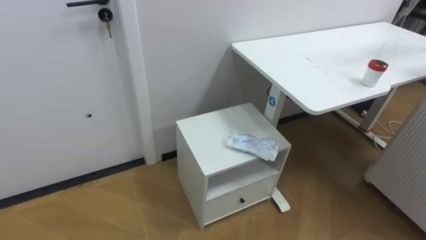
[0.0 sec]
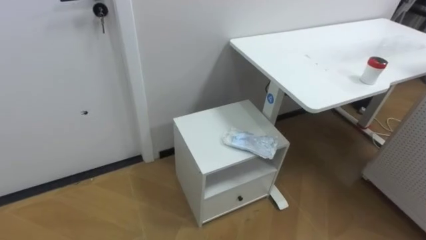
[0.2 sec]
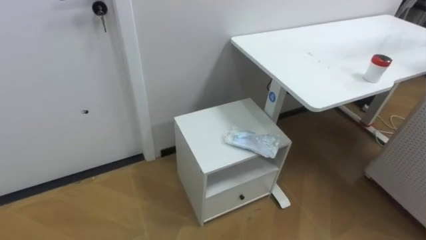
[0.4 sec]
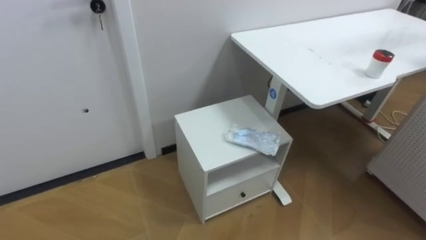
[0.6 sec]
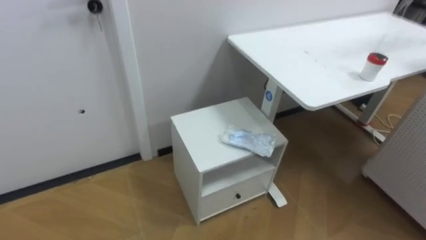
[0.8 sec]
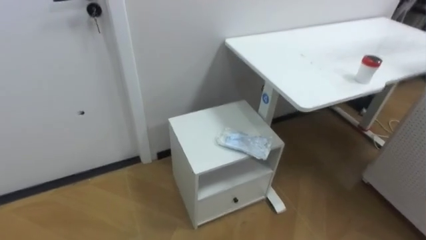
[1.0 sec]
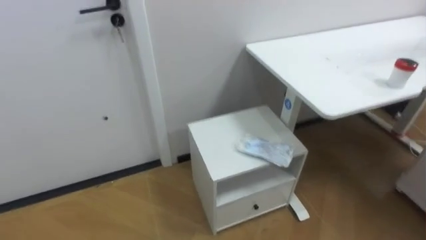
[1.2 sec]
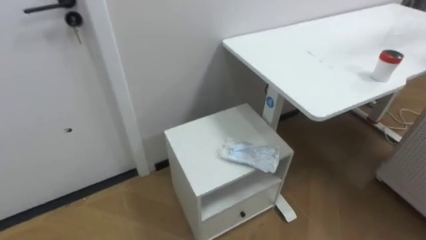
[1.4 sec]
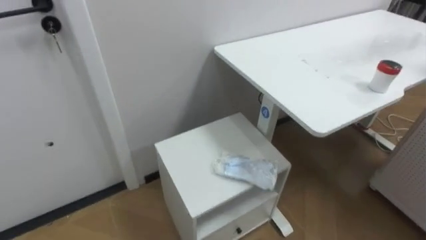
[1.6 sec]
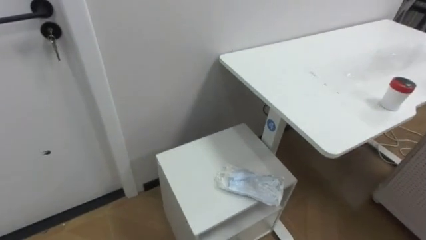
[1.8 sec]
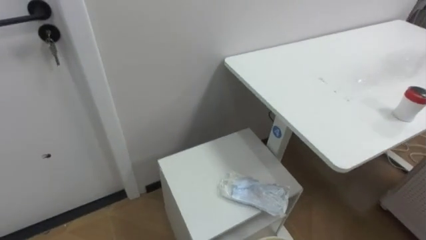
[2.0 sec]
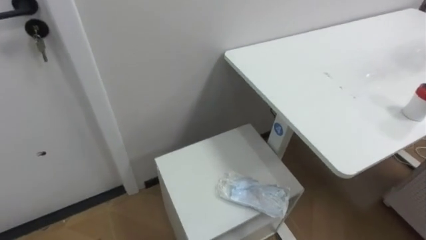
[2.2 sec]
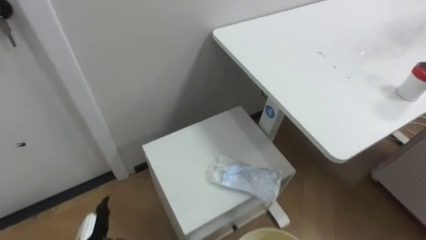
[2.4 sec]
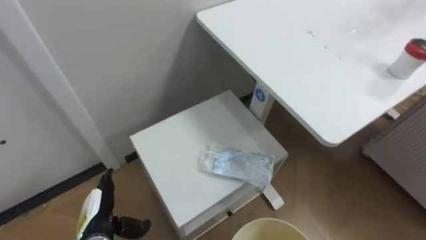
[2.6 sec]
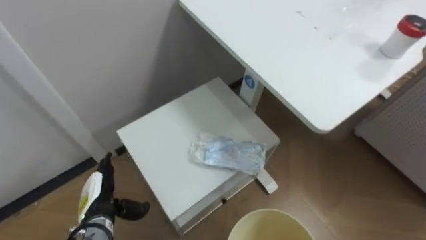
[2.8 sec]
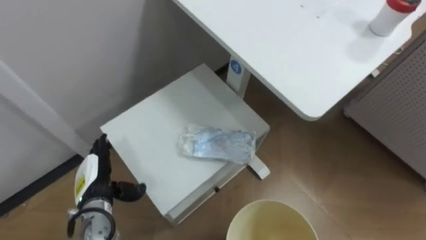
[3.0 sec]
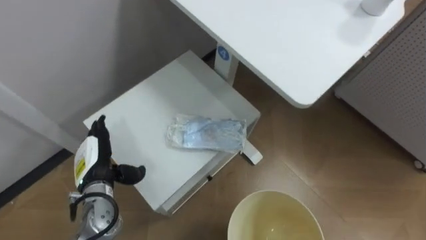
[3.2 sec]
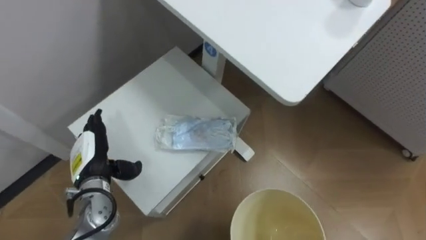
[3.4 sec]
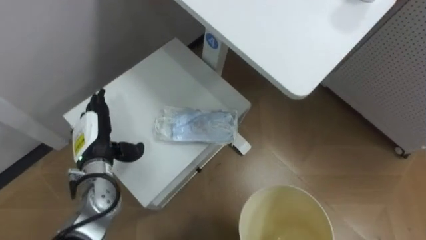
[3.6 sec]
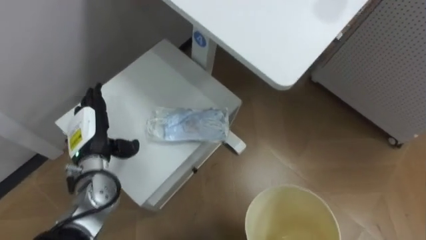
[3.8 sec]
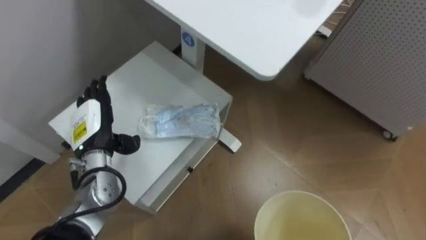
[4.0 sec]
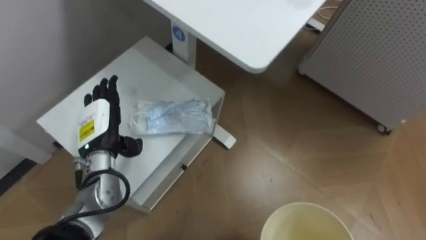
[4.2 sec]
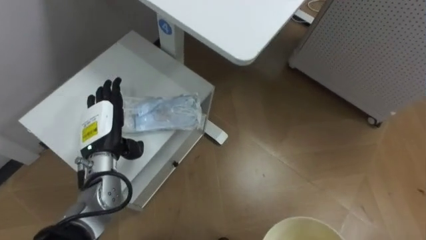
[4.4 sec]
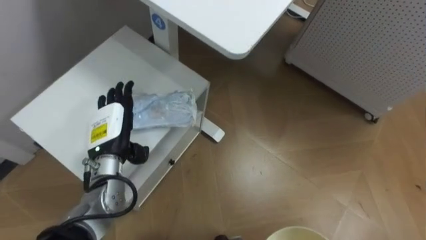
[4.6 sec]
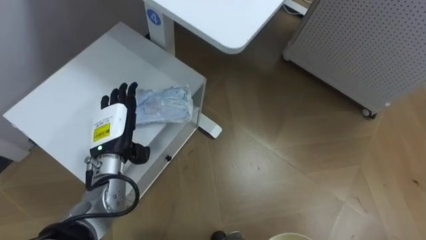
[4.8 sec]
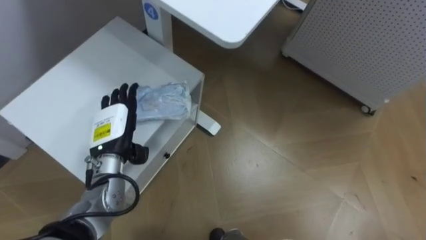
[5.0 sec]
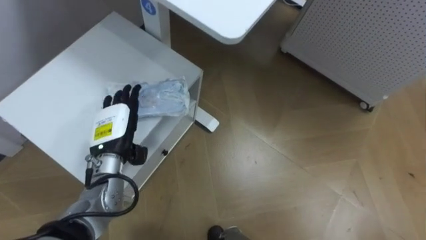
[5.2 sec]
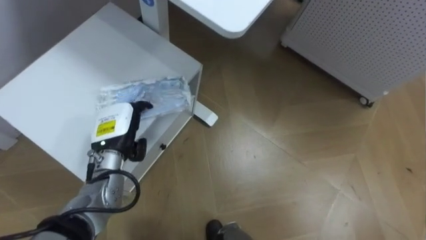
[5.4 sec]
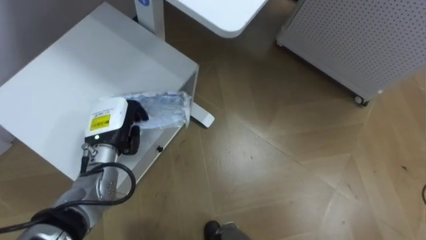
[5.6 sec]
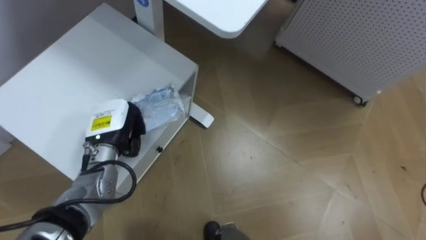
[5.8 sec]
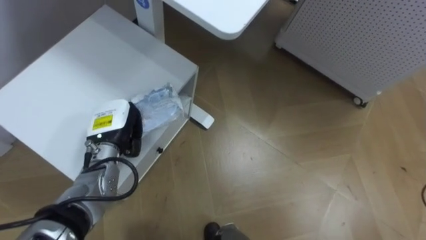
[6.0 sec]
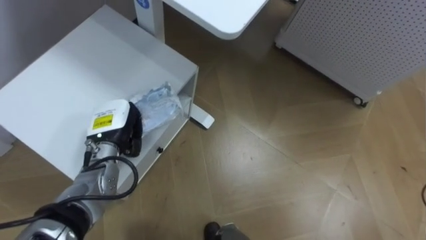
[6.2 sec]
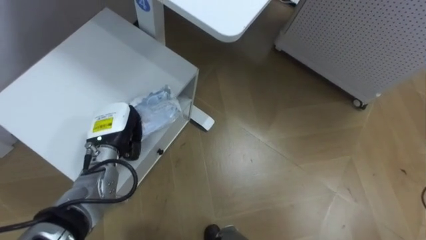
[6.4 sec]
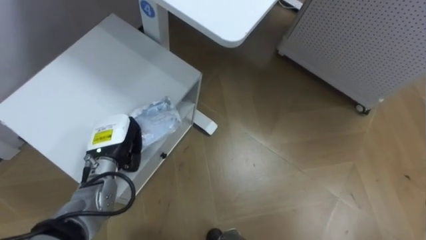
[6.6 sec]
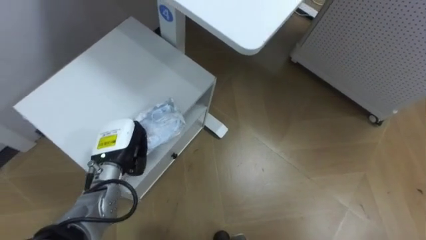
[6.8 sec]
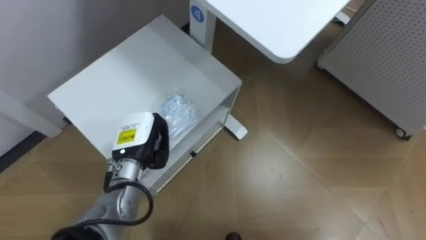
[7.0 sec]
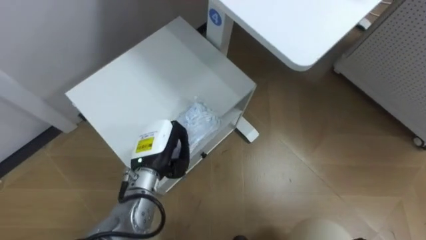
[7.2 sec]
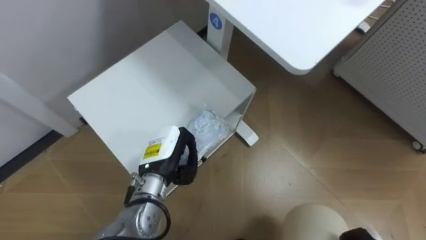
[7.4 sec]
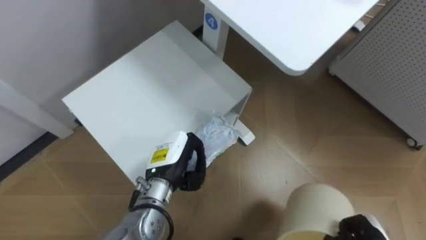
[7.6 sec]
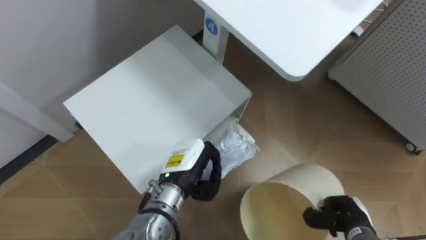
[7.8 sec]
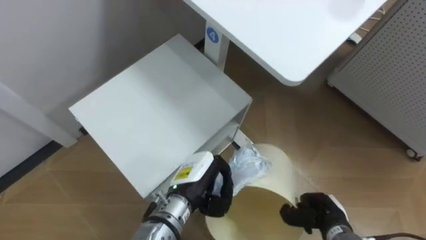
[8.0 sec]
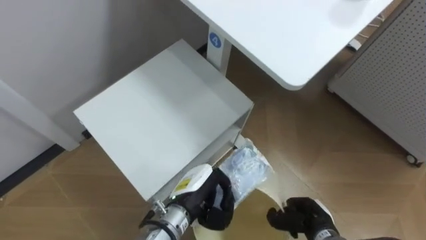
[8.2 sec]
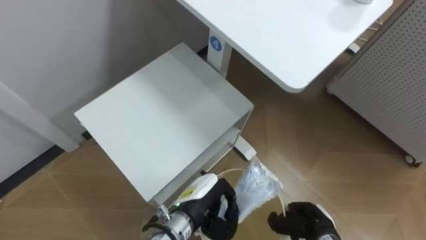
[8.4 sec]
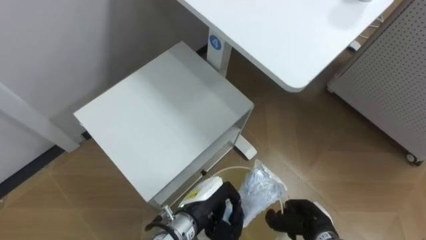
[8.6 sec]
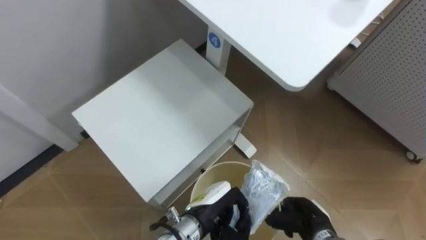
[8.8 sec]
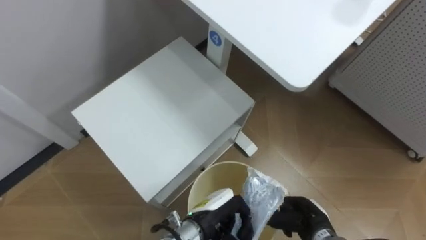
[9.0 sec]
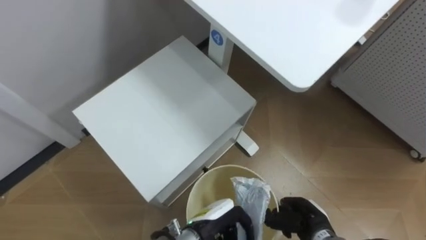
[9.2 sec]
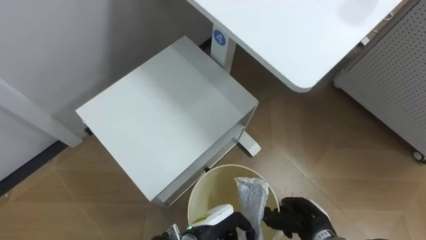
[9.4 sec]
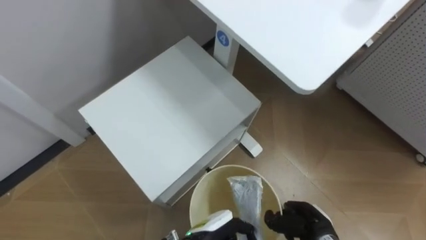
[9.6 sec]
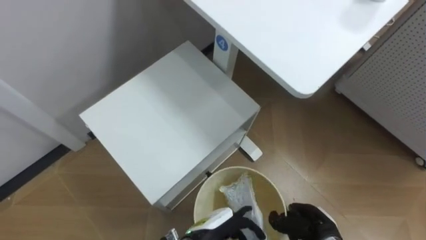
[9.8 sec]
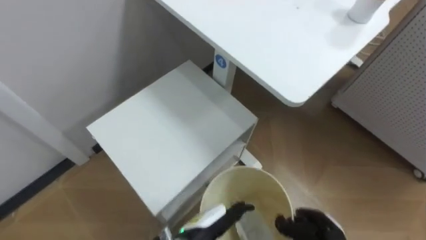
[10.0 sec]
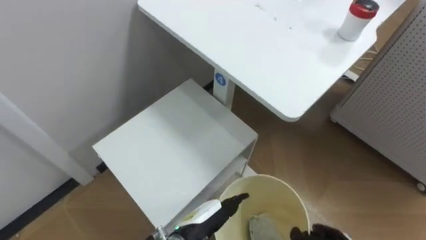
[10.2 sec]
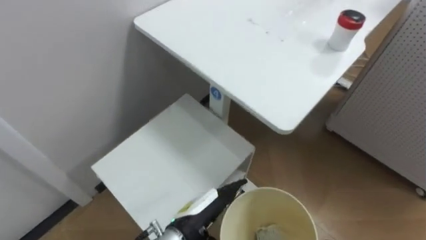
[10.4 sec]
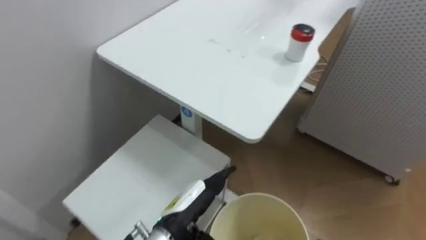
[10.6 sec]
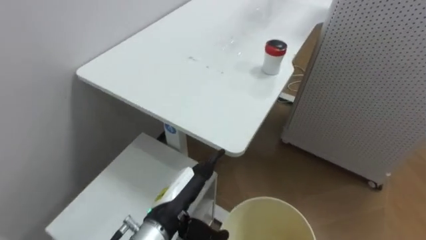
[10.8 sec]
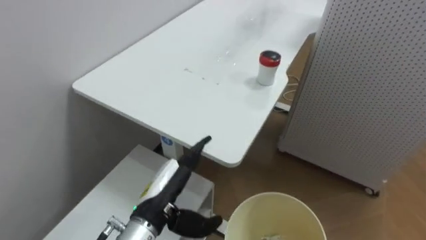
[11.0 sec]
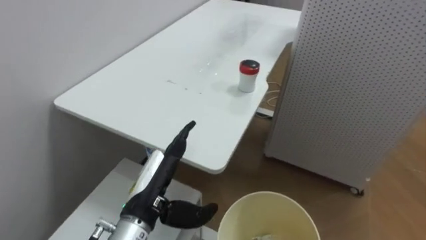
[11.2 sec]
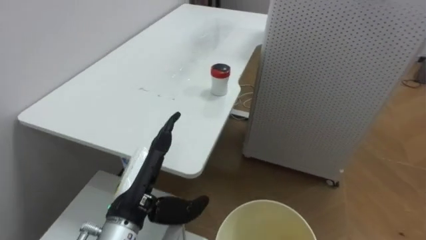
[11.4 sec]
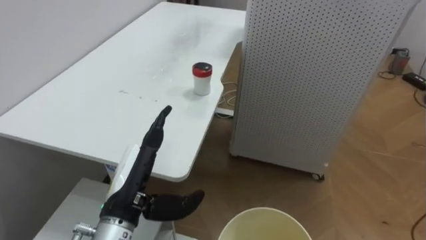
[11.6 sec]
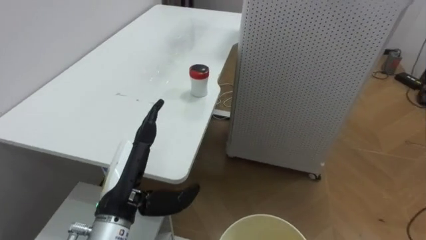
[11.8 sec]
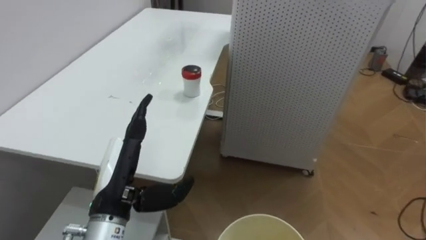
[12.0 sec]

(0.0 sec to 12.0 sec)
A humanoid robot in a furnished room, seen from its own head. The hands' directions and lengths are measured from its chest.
Task of the whole recording: Pick up the light blue package, the candy box, and the dark blue package separately, and put them into the trash can held in your right hand.
3.0 sec - 4.4 sec: The left hand moves upward and forward, roughly 10 cm.
4.4 sec - 6.0 sec: The left hand closes up.
6.0 sec - 7.6 sec: The left hand shifts about 10 cm to the right.
7.6 sec - 9.0 sec: The left hand goes roughly 15 cm to the right, backward and downward.
9.0 sec - 10.4 sec: The left hand opens up.
10.4 sec - 12.0 sec: The robot faces some 35 degrees further to its right. The left hand shifts approximately 20 cm to the left and upward.

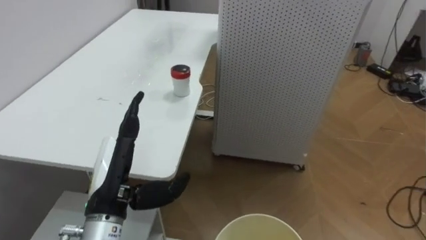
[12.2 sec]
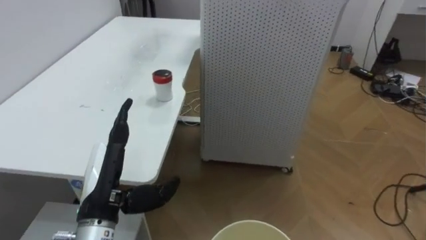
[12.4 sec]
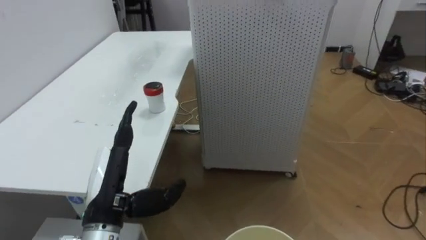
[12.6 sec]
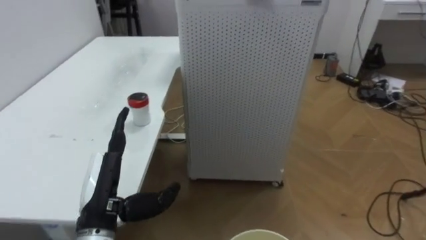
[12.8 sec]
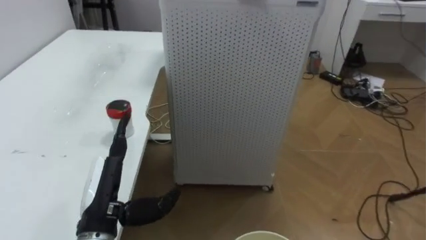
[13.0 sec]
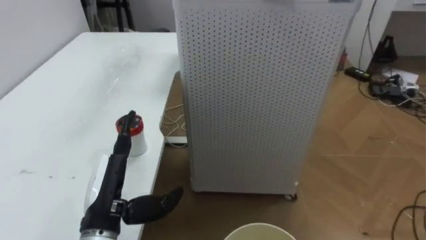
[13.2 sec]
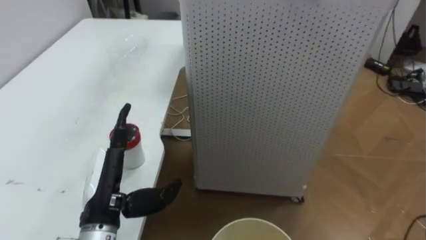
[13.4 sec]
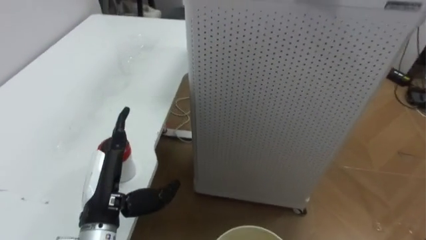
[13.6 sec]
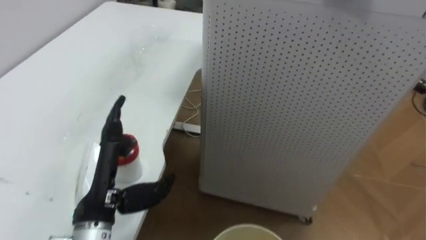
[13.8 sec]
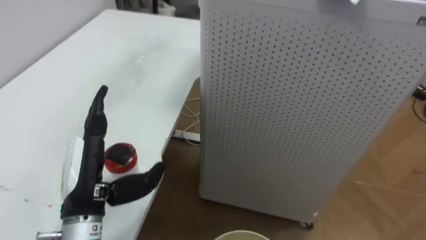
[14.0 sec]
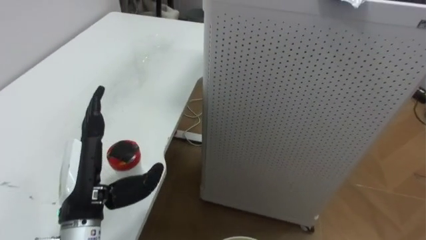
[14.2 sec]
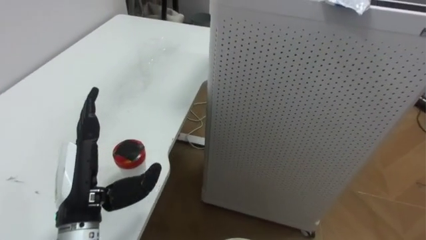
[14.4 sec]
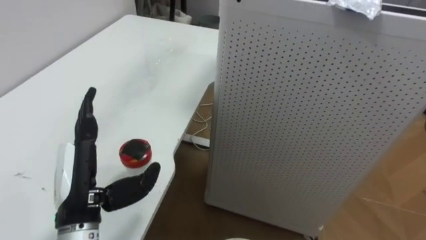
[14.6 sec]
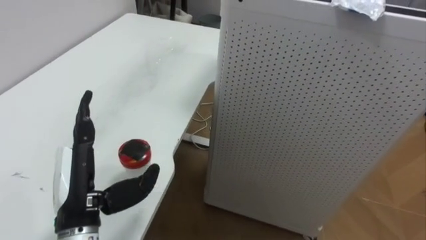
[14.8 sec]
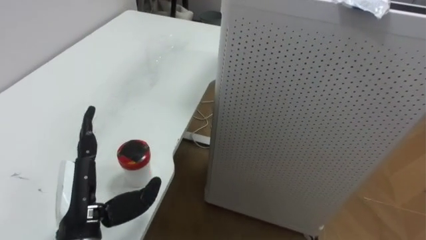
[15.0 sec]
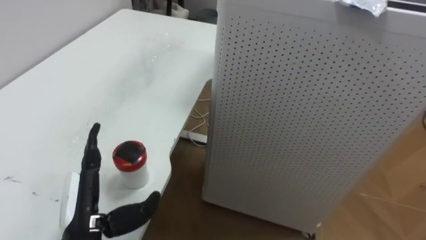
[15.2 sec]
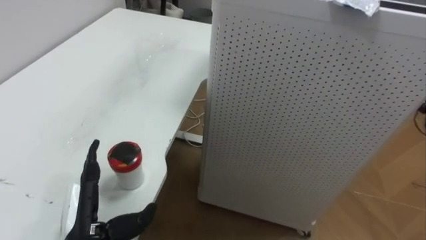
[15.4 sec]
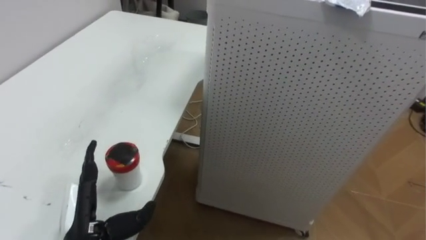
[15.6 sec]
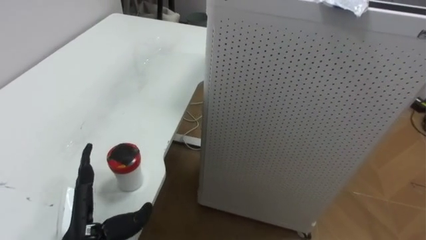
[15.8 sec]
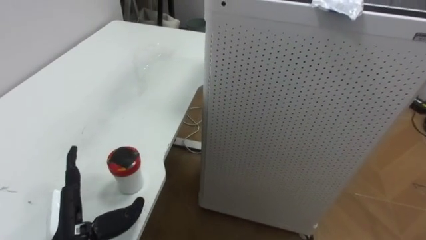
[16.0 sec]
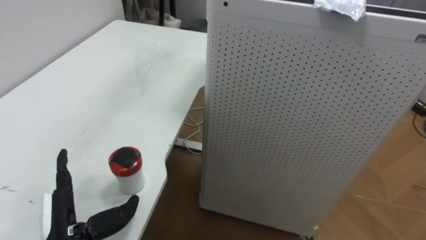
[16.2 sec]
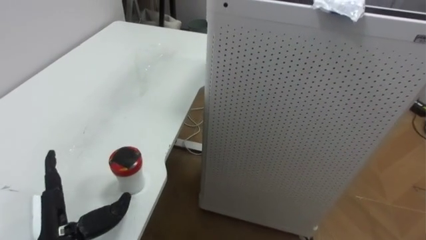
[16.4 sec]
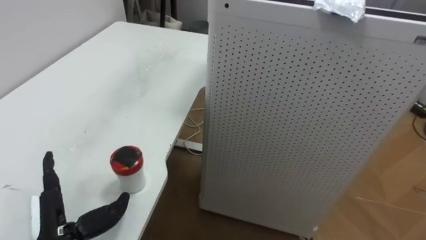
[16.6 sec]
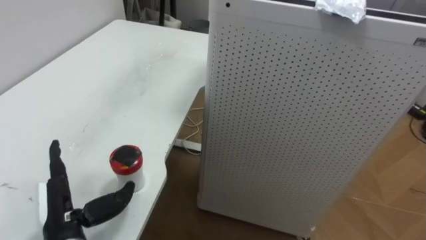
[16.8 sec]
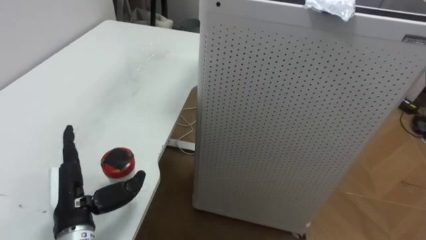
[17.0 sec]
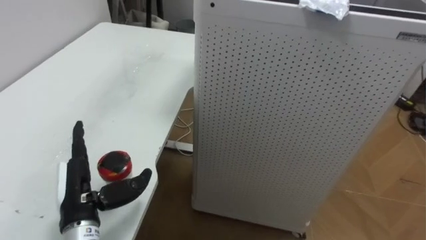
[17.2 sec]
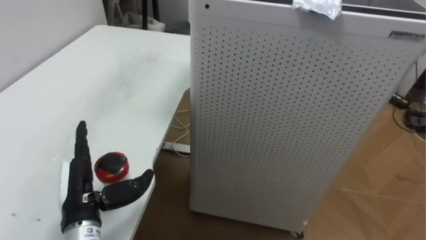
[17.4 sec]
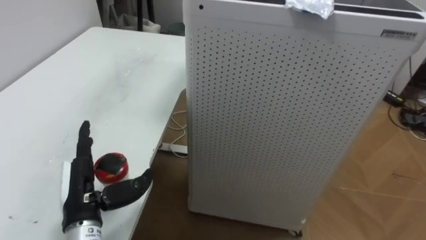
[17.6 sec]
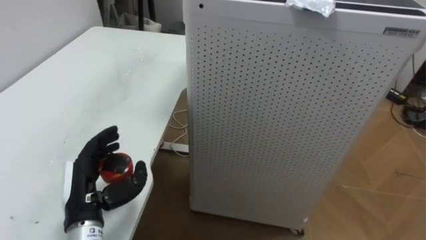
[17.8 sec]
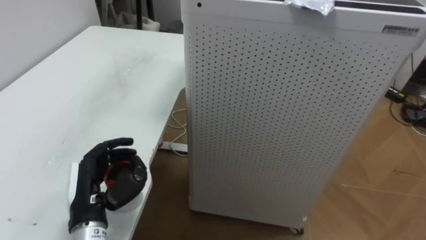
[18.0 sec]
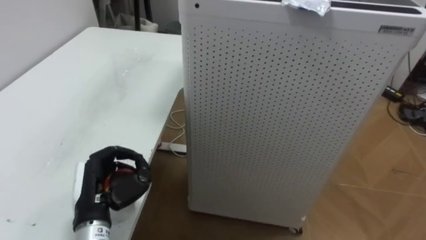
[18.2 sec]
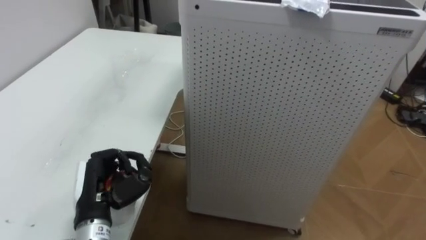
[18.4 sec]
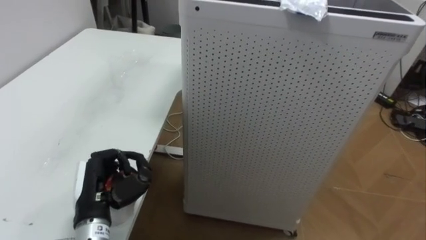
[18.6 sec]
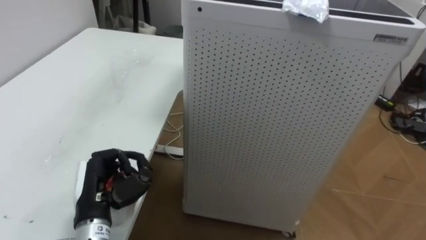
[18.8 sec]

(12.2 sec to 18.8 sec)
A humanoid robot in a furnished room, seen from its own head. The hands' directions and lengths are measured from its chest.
Task of the whole recording: Pick up the light blue package, the candy box, and the dark blue package separately, and put them into the trash can held in your right hand.
13.8 sec - 15.4 sec: The left hand travels downward by some 5 cm.
17.2 sec - 18.8 sec: The left hand closes up.
